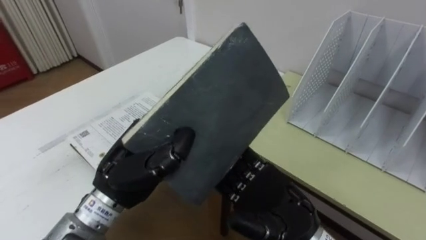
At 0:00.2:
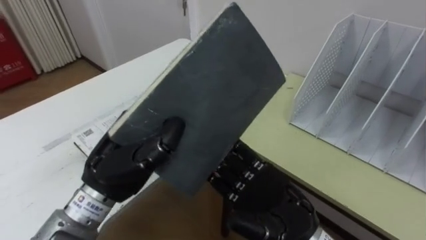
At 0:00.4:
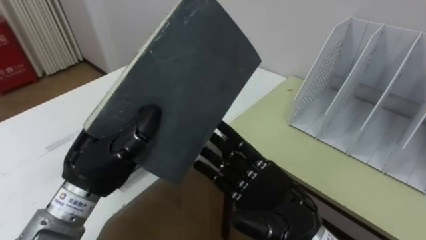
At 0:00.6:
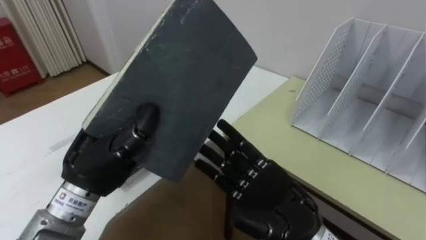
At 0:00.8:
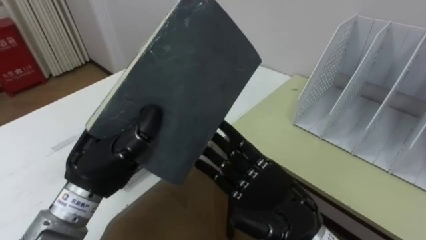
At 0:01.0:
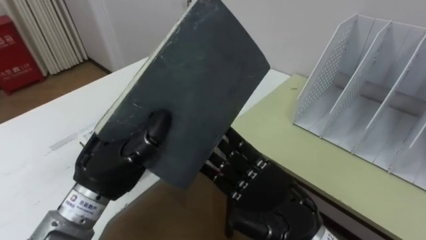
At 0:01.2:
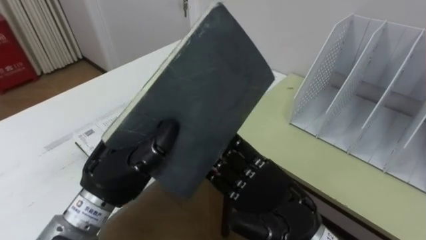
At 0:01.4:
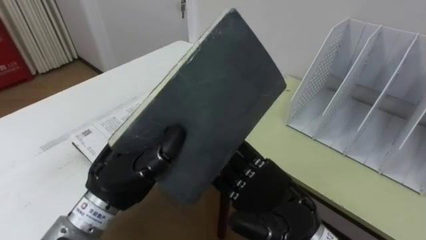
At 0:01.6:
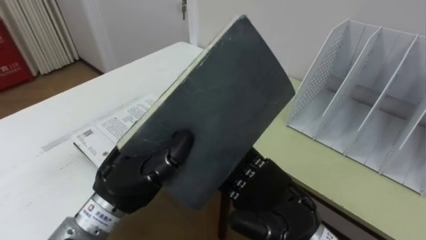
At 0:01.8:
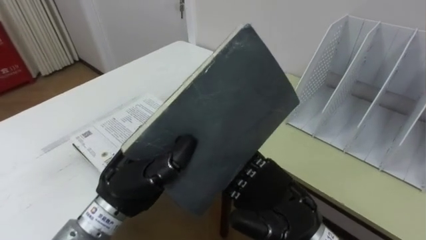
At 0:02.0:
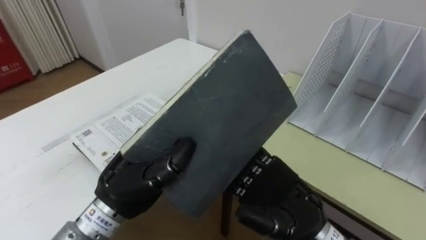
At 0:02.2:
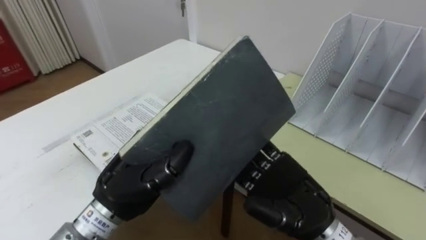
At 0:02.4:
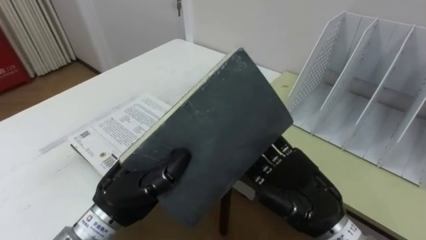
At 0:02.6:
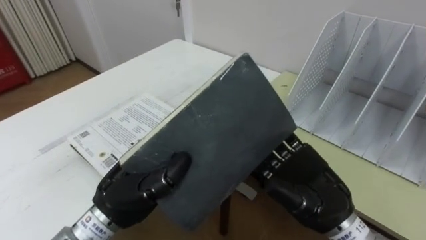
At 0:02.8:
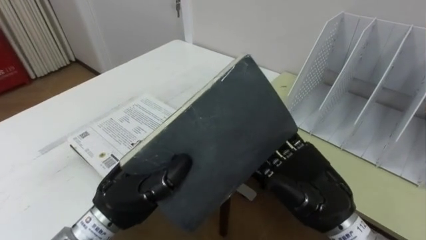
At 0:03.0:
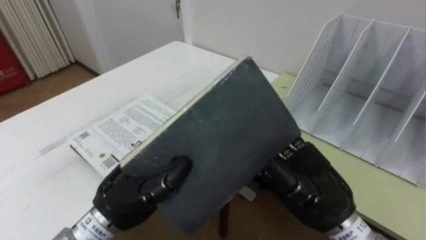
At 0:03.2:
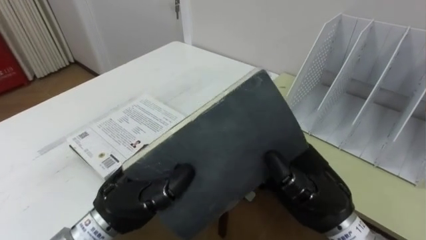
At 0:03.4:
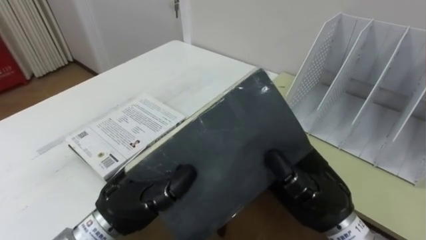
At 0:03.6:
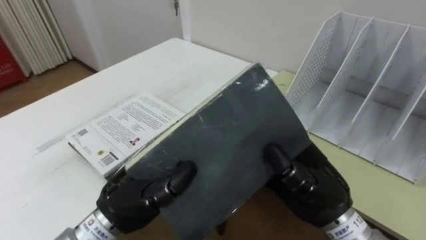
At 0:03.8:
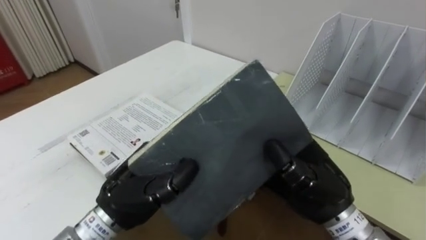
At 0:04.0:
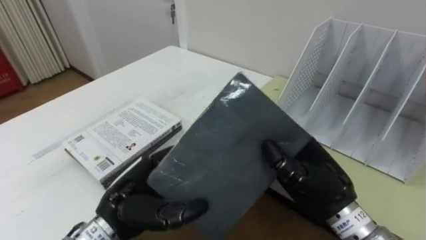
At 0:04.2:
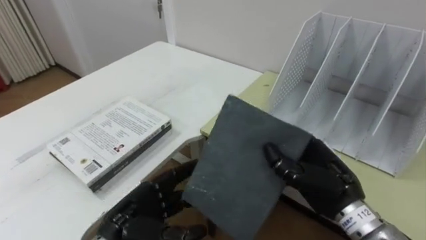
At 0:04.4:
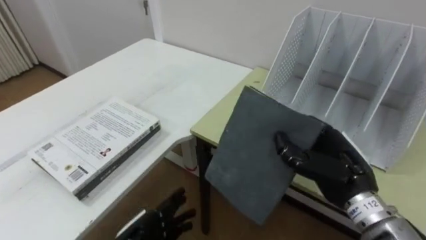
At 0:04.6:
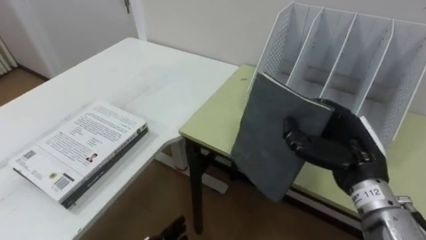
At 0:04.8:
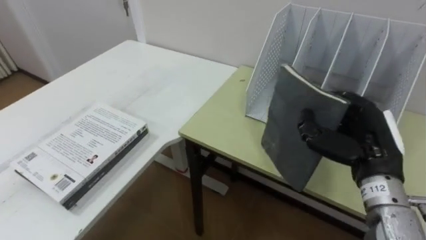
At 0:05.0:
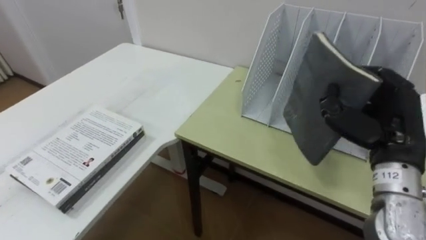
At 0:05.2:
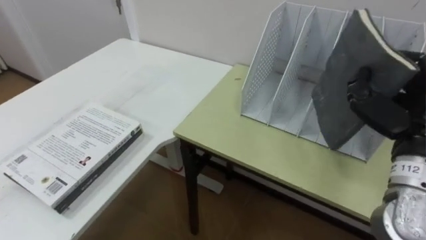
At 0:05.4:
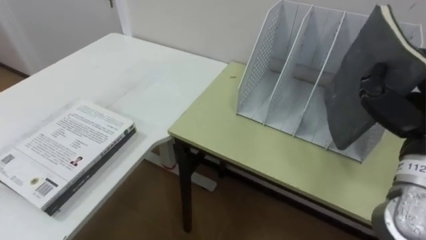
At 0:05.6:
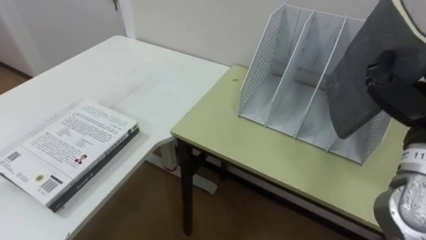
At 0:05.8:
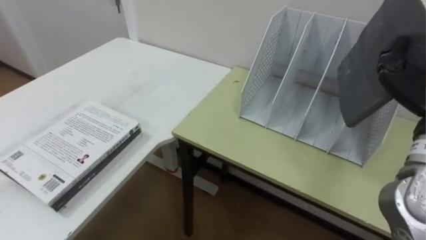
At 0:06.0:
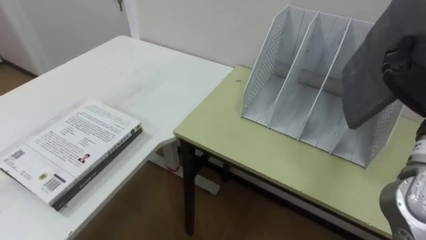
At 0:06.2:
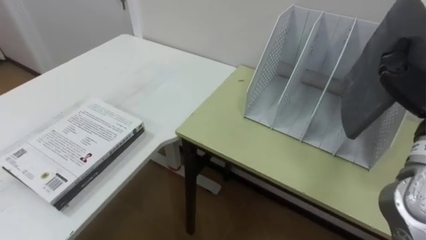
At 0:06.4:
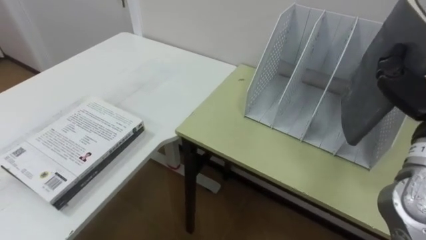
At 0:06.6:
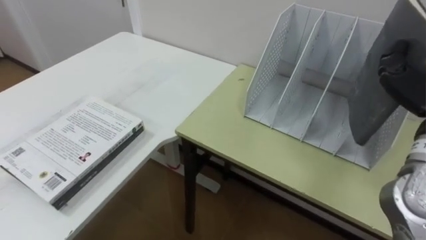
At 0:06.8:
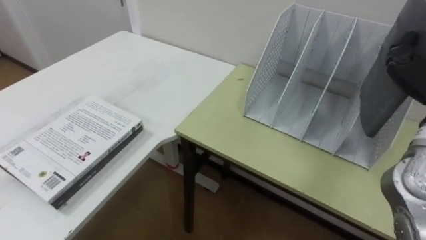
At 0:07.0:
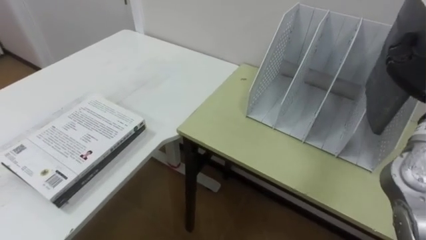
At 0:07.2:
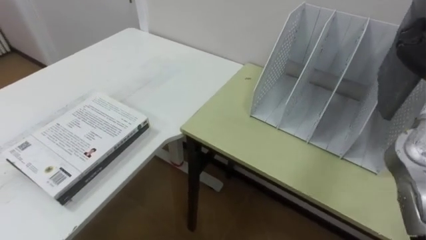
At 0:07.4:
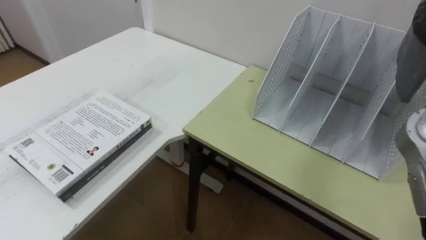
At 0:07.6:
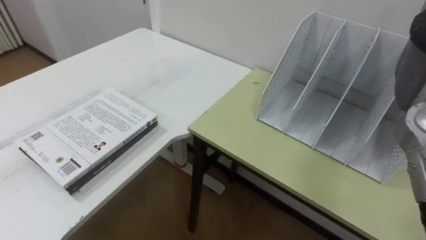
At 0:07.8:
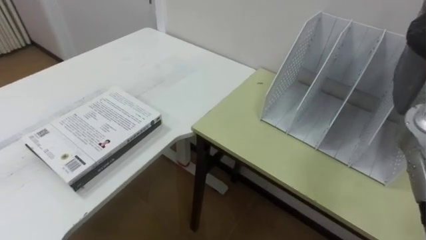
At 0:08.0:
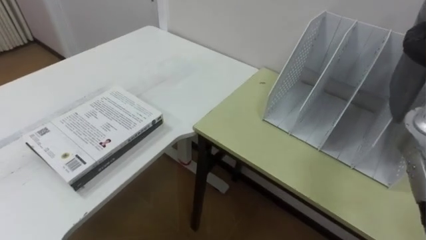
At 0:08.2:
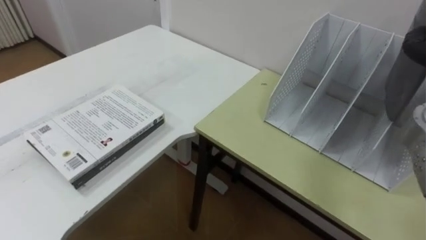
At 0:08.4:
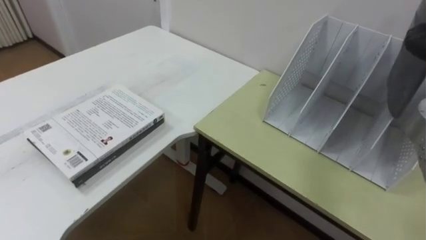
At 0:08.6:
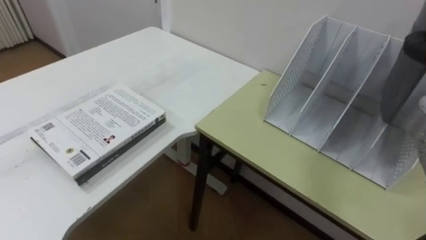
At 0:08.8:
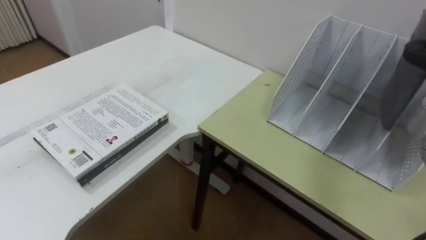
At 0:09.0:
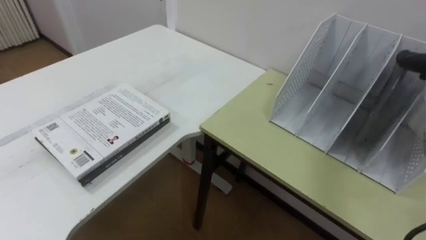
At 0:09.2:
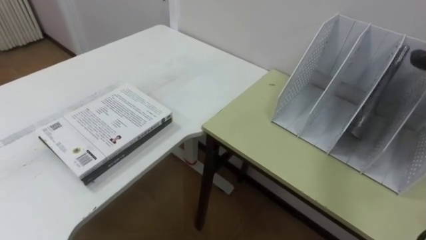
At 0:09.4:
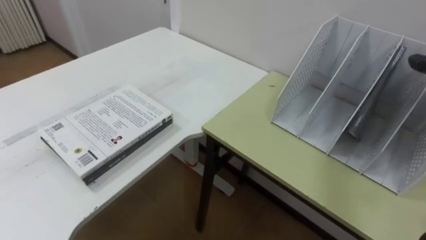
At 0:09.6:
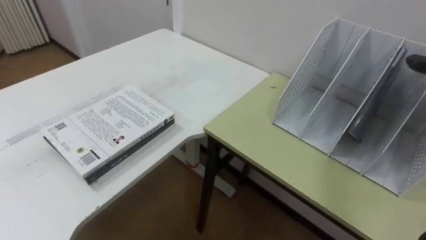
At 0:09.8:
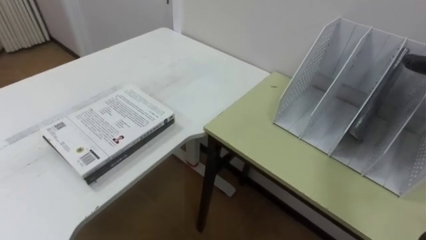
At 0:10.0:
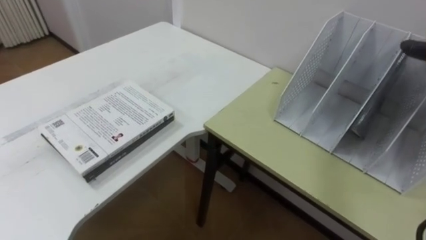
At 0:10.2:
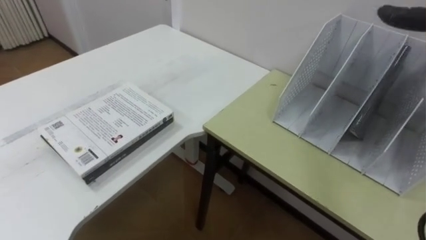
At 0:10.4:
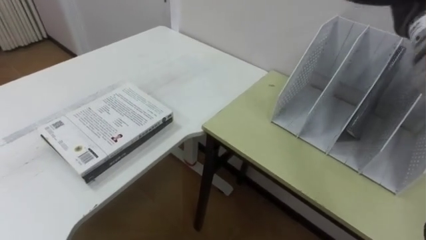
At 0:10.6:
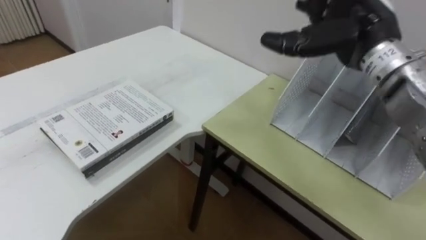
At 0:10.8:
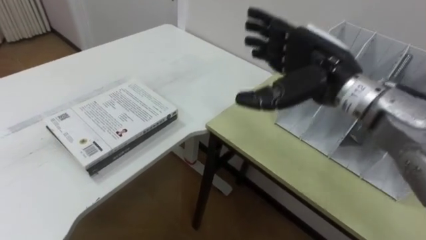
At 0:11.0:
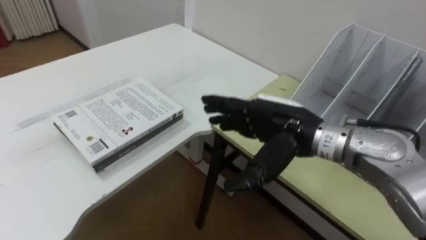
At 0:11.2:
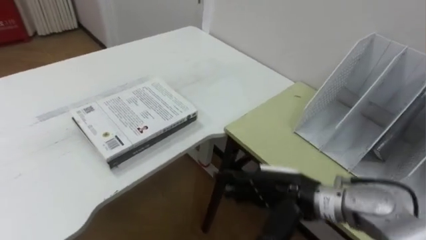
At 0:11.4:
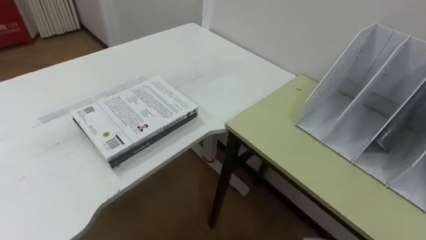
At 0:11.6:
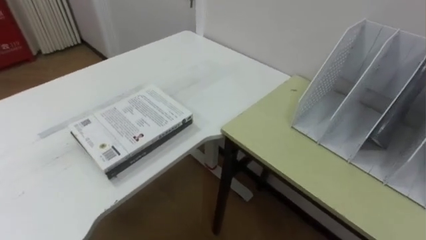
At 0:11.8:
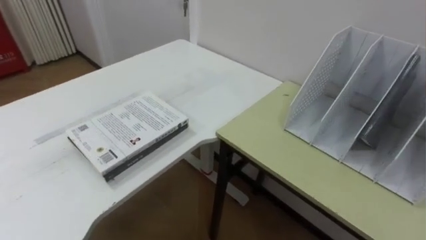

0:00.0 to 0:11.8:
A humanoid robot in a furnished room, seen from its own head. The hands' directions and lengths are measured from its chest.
Task of the whole recording: Put the books on the table onto the bookshelf.
0:00.0 to 0:01.4: The hands move only a little.
0:01.4 to 0:03.0: The right hand is displaced to the right by about 5 cm.
0:03.0 to 0:04.4: The right hand goes approximately 5 cm to the right, and closes its fingers, while the left hand travels downward by approximately 15 cm, and opens its fingers.

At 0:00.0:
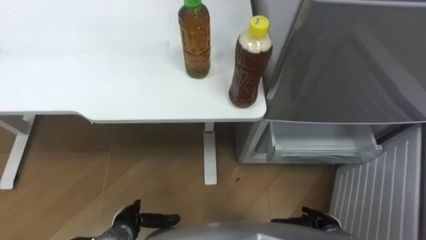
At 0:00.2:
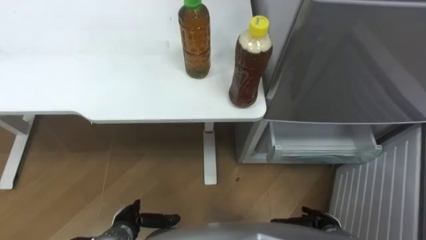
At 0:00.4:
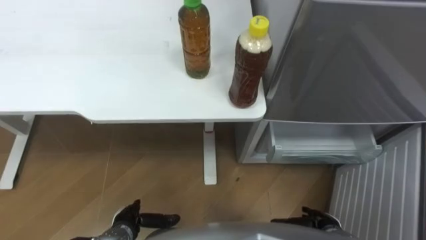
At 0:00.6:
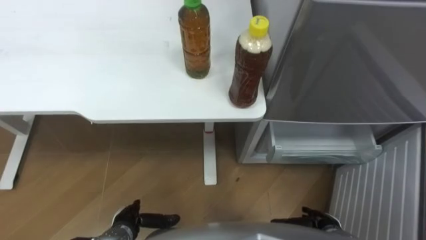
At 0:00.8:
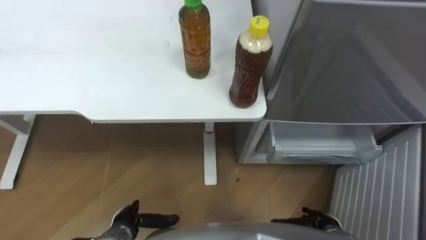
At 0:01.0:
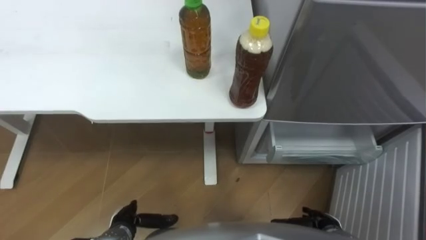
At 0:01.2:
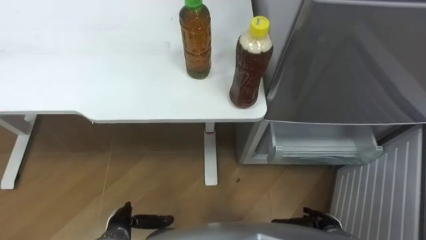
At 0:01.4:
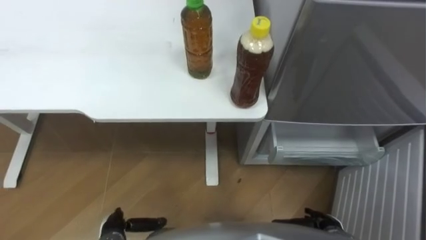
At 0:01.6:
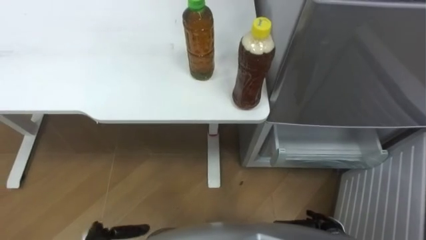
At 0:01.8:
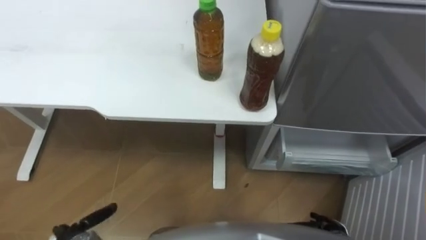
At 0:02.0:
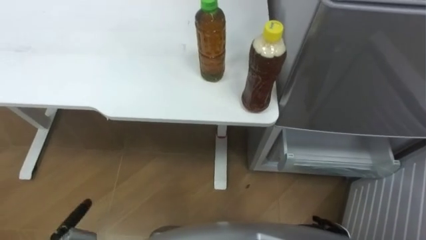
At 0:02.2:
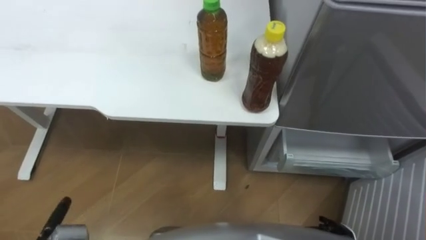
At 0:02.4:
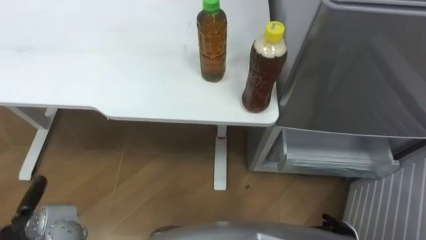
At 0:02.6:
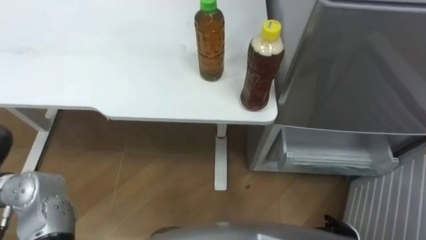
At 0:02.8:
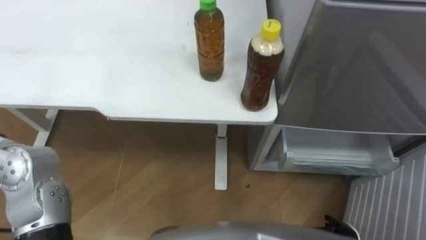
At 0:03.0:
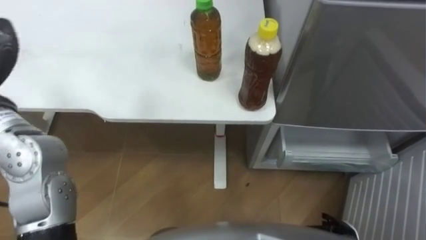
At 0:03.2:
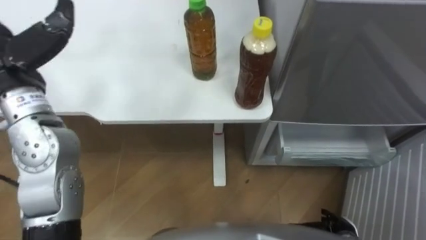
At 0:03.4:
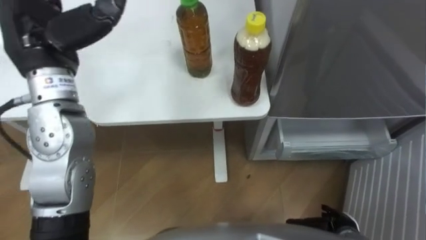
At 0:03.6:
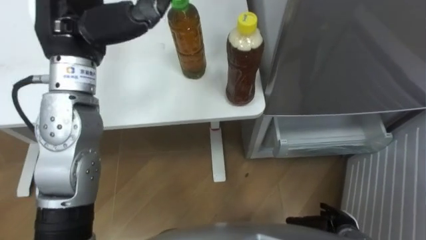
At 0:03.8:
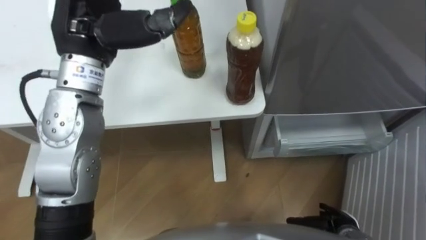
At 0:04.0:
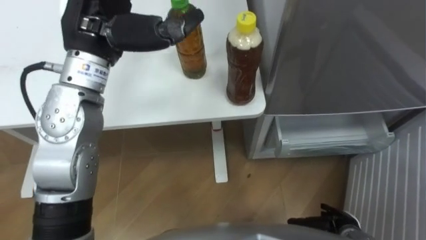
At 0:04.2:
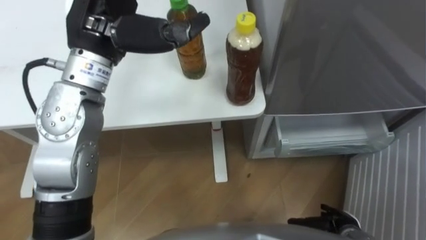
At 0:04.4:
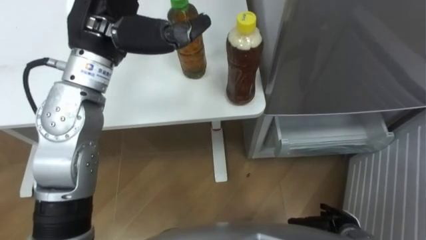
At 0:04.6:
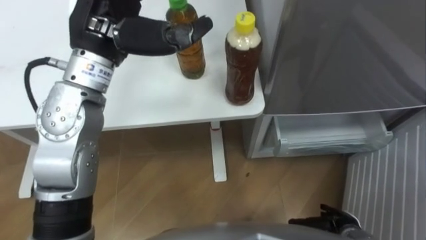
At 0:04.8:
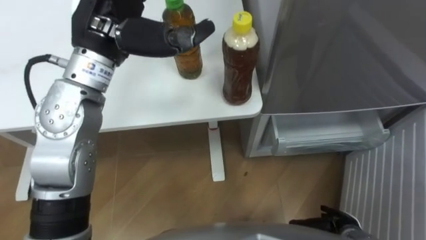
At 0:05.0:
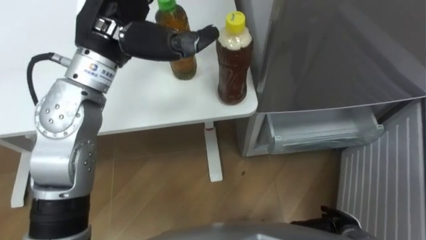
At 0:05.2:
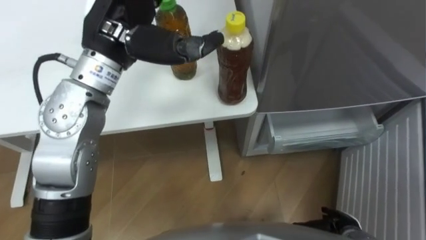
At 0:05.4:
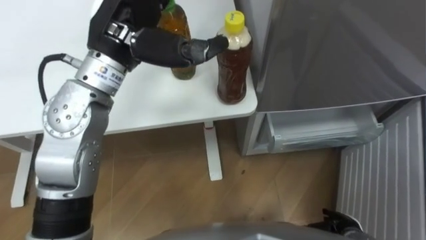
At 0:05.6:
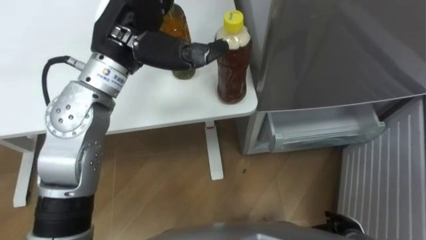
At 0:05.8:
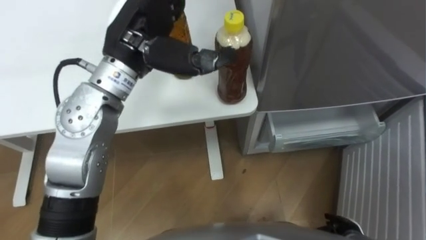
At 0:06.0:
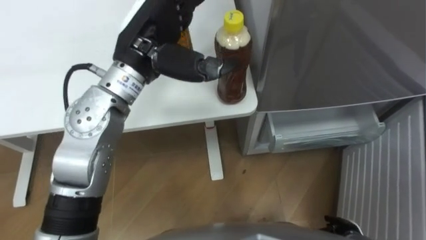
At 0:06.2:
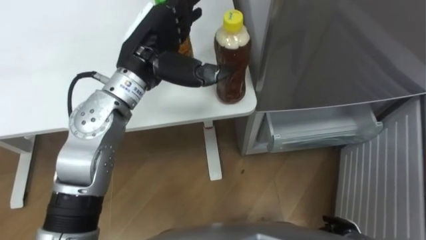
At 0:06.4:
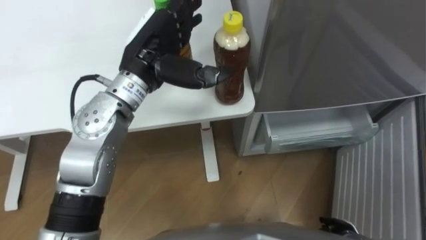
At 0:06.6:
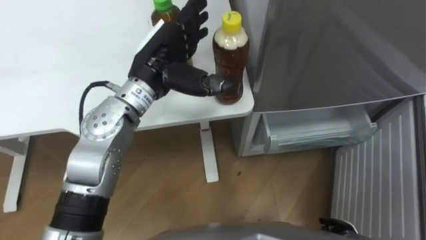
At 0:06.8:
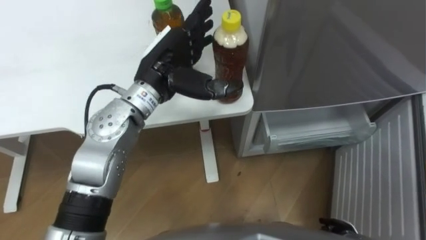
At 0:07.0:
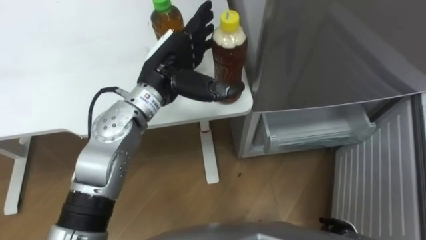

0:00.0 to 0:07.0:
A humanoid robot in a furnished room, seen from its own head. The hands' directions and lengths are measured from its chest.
Task of the whole recording: Place the drink on the table on the bottom shelf of the refrigerator, then close the drawer and the refrigerator door.
0:05.6 to 0:07.0: The left hand goes approximately 10 cm downward.
